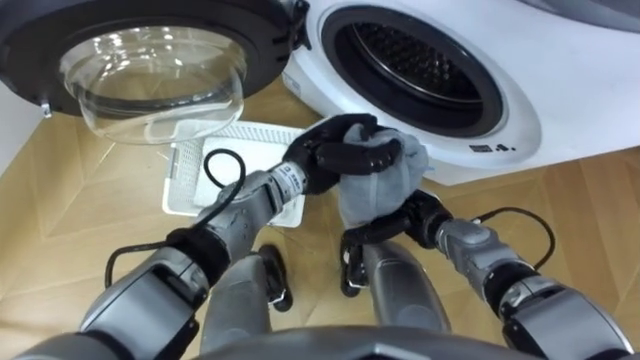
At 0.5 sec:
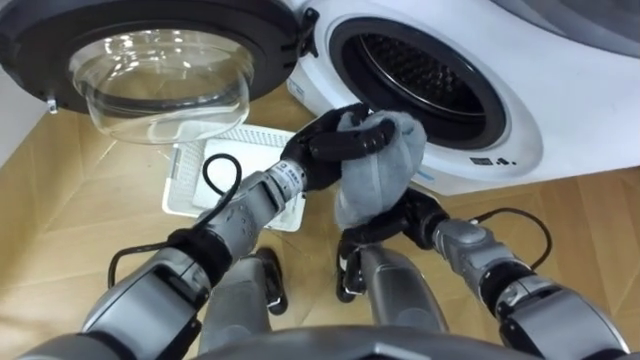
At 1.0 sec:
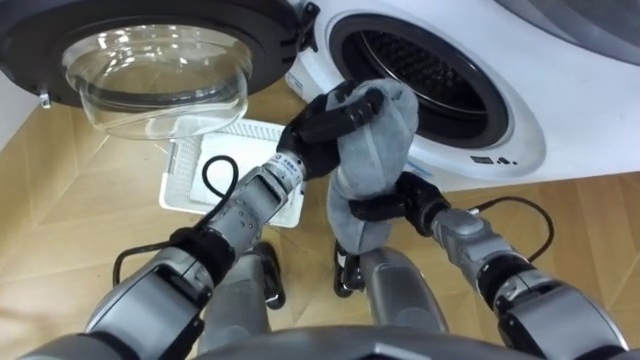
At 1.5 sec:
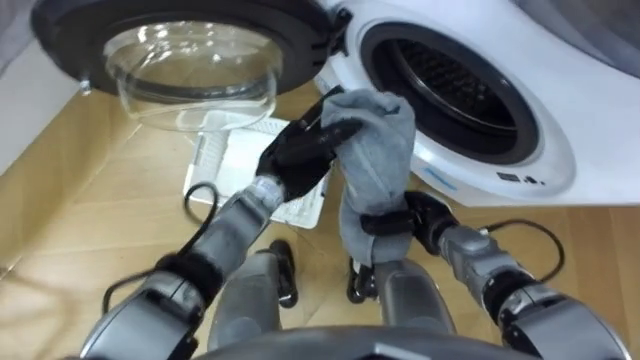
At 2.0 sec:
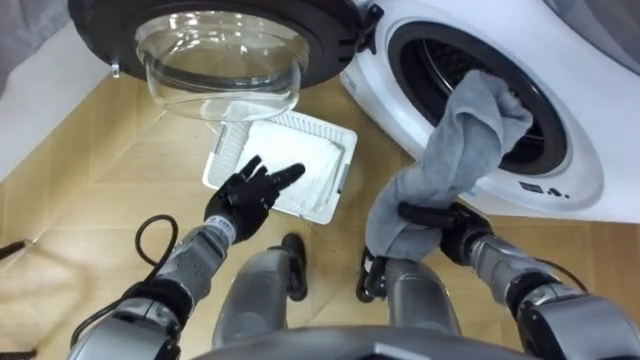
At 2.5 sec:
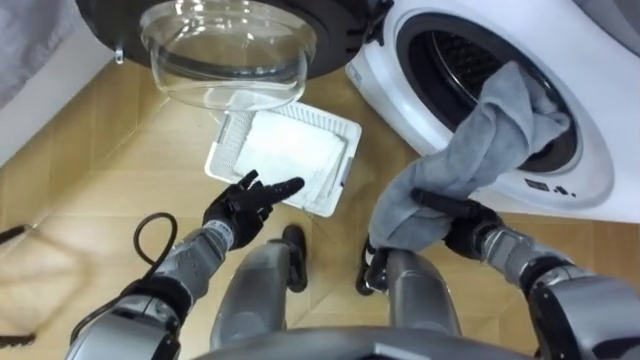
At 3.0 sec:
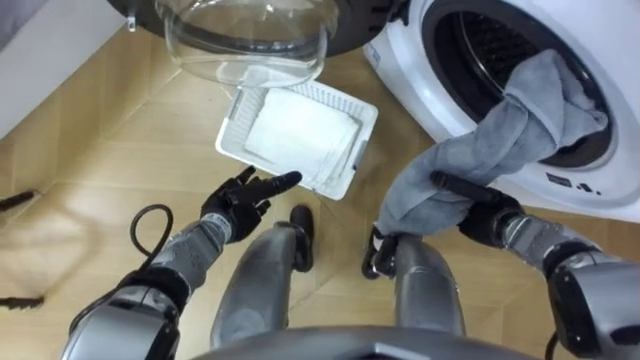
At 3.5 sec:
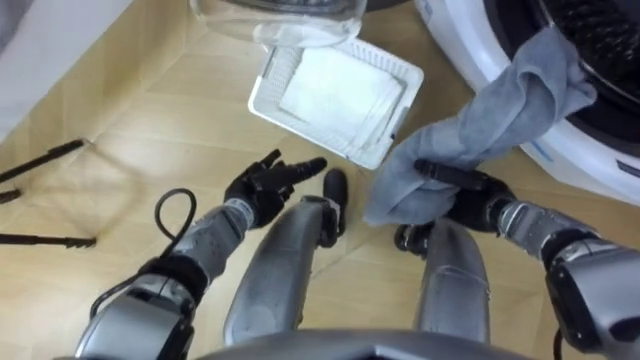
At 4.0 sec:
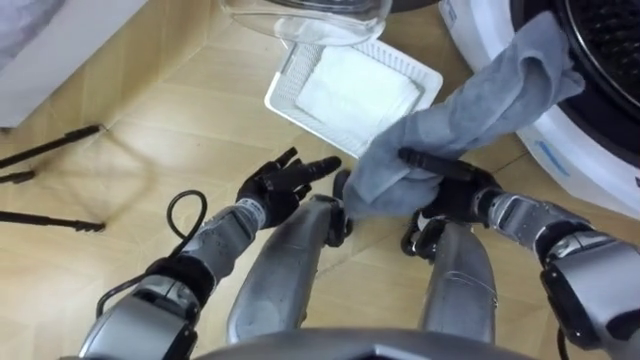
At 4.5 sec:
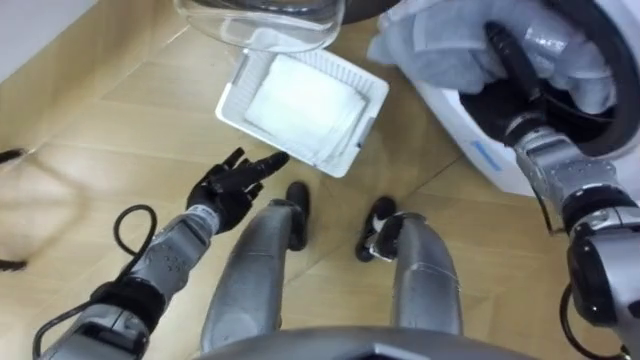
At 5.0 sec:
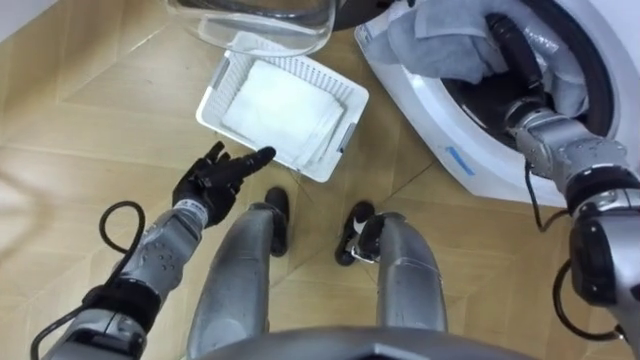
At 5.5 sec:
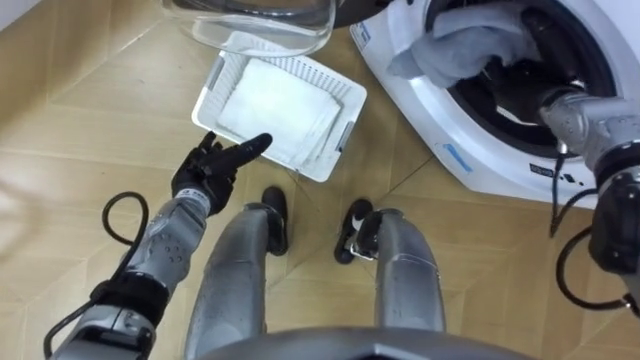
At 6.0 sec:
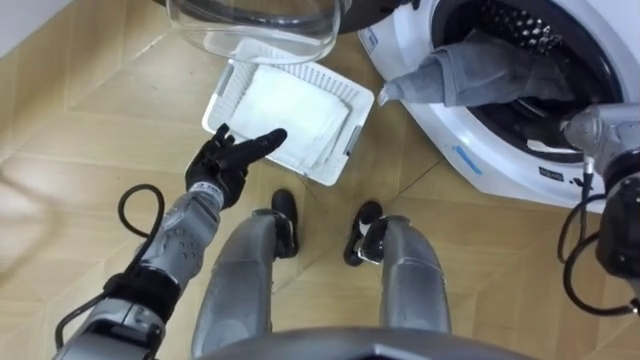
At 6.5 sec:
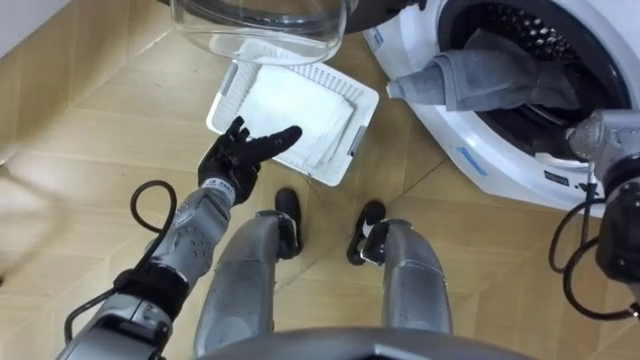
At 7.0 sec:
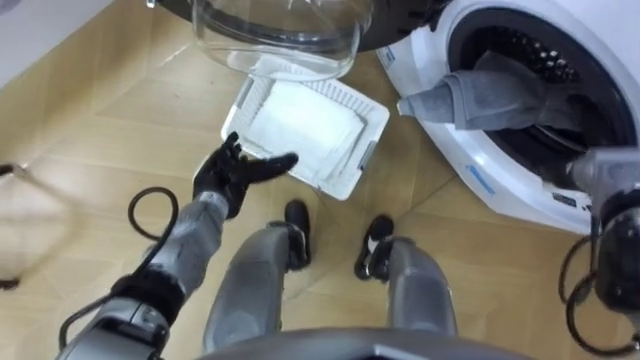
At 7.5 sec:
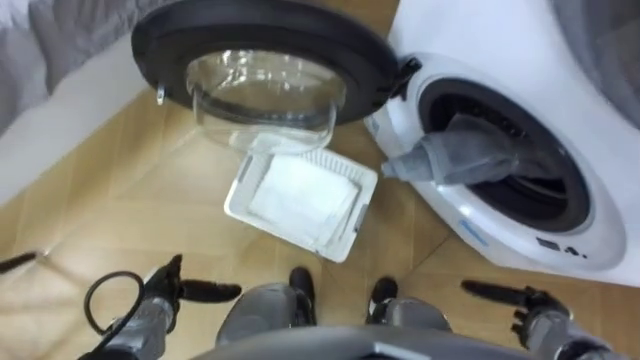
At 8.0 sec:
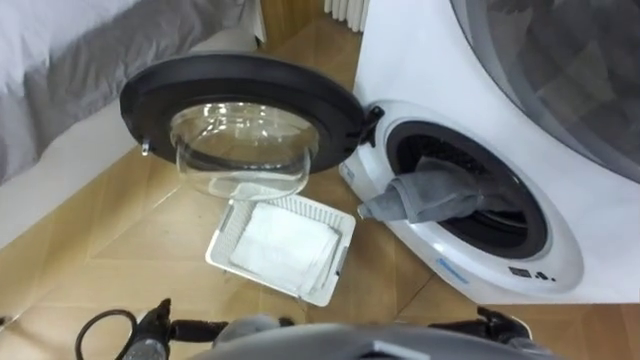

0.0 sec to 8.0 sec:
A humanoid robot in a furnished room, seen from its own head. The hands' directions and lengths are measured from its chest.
Task of the whole recording: Take the towel from the basket and put it into the washing machine.
0.0 sec to 2.0 sec: The right hand shifts roughly 5 cm to the right, and closes up. Meanwhile the left hand goes some 15 cm to the left and downward, and opens up.
2.0 sec to 4.0 sec: The left hand changes place by roughly 5 cm. Meanwhile the right hand goes about 5 cm forward.
4.0 sec to 6.0 sec: The right hand heads to the right, upward and forward, covering about 15 cm, and opens up; the left hand shifts about 10 cm to the left.
6.0 sec to 8.0 sec: The left hand travels backward, downward and to the left by some 30 cm, while the right hand travels backward and downward by approximately 35 cm.

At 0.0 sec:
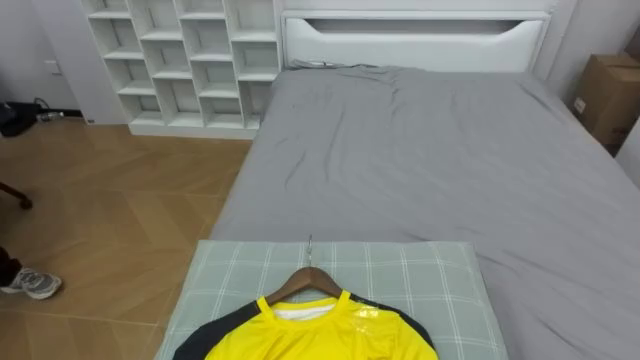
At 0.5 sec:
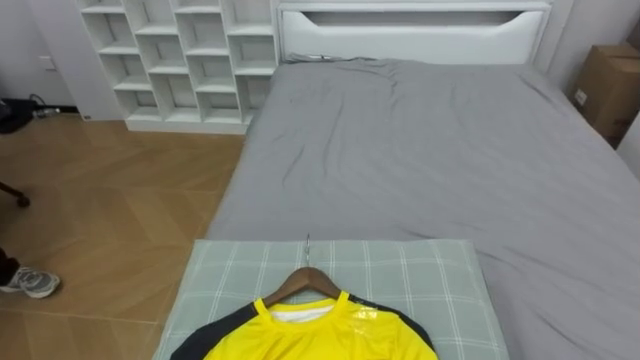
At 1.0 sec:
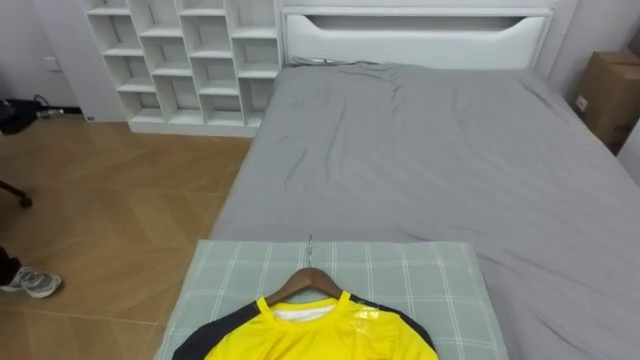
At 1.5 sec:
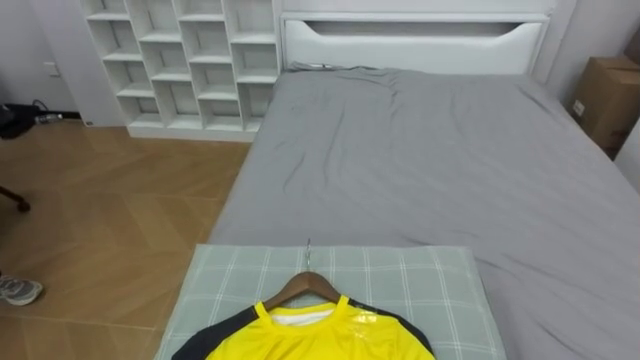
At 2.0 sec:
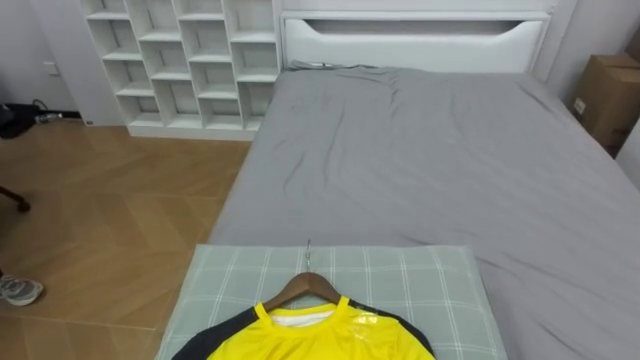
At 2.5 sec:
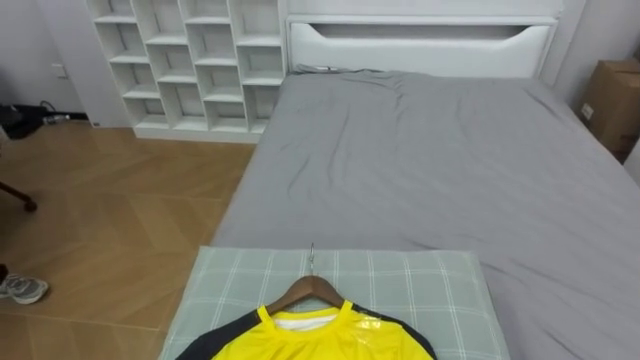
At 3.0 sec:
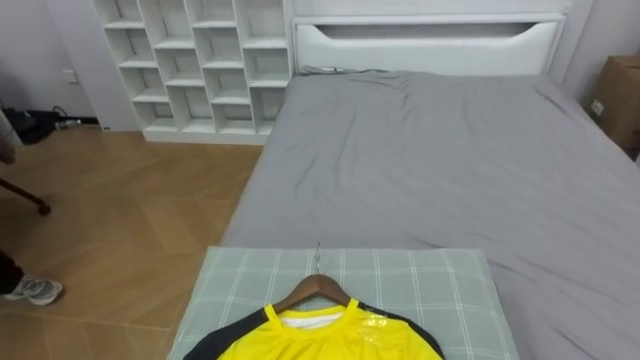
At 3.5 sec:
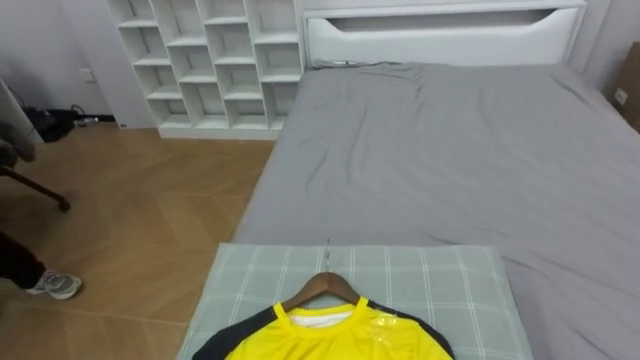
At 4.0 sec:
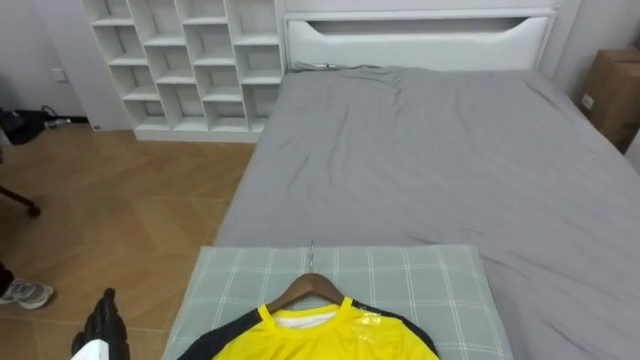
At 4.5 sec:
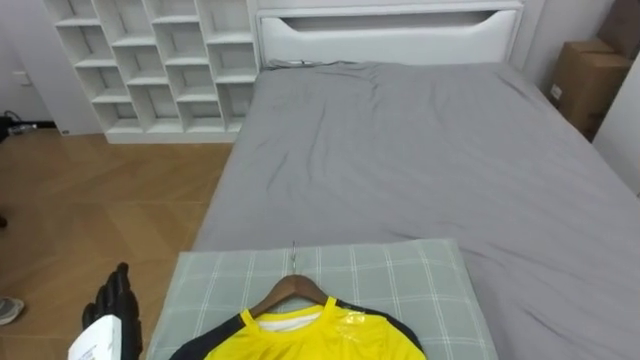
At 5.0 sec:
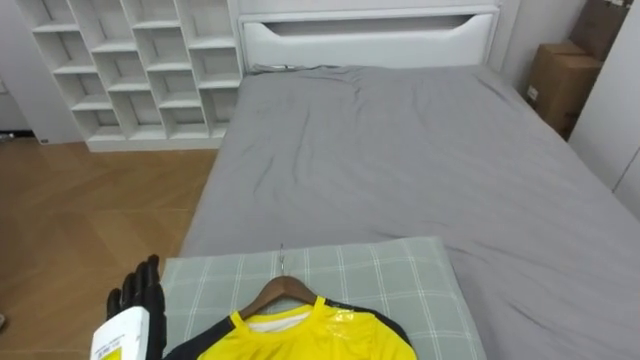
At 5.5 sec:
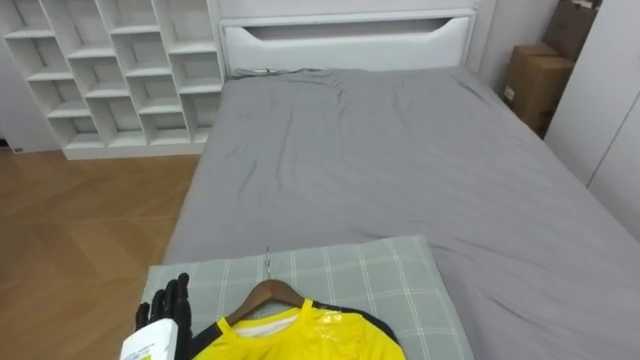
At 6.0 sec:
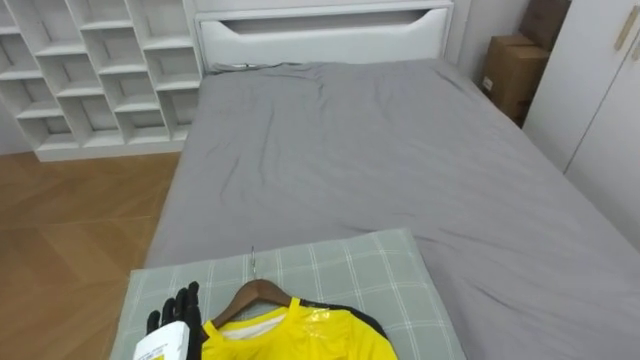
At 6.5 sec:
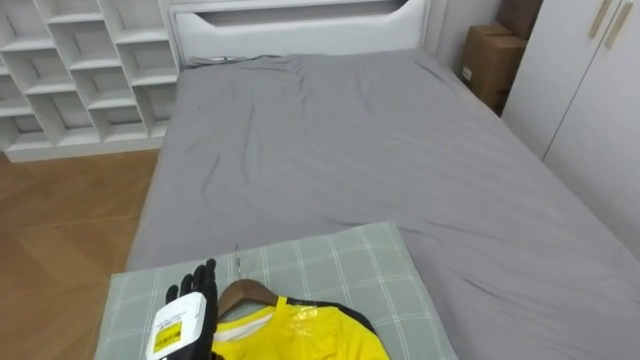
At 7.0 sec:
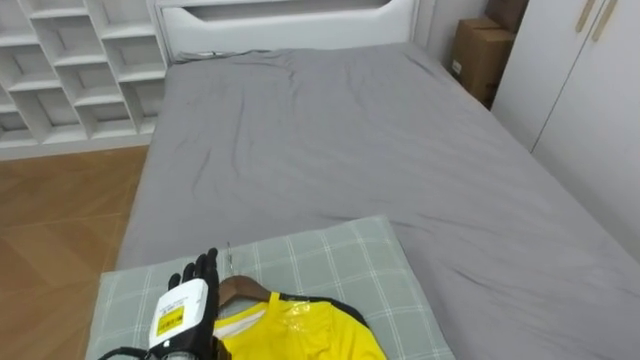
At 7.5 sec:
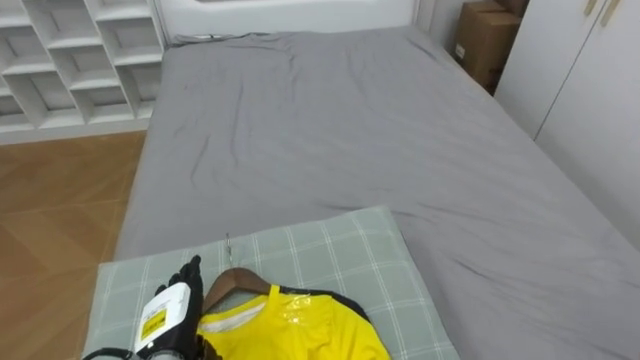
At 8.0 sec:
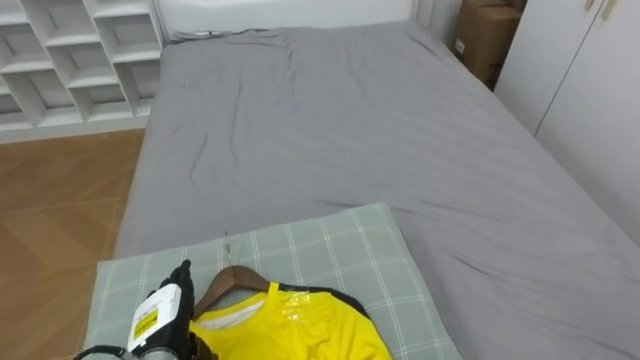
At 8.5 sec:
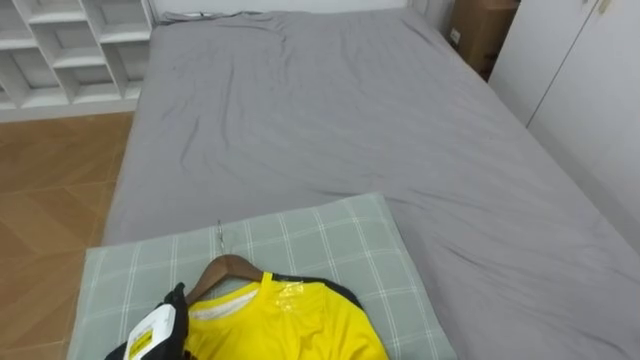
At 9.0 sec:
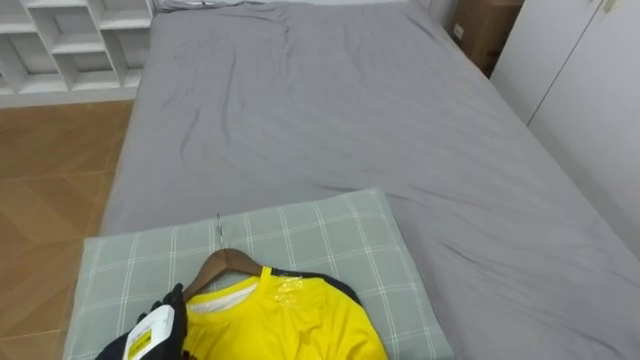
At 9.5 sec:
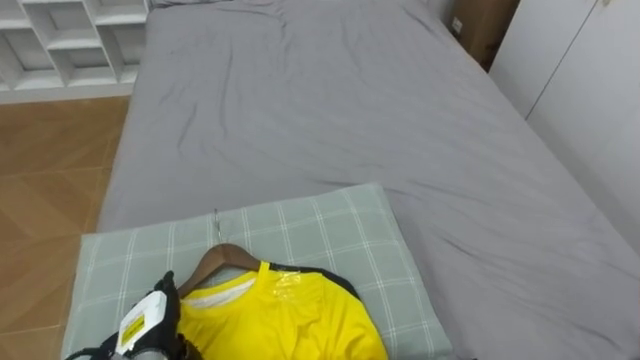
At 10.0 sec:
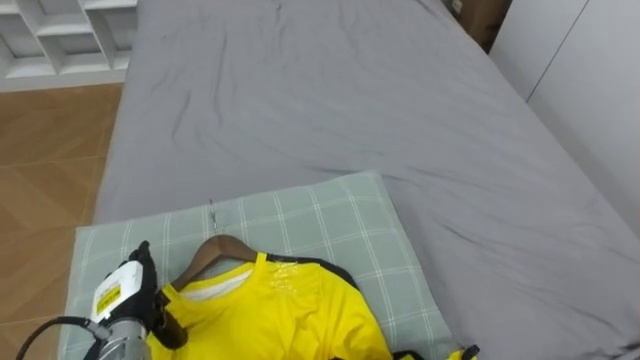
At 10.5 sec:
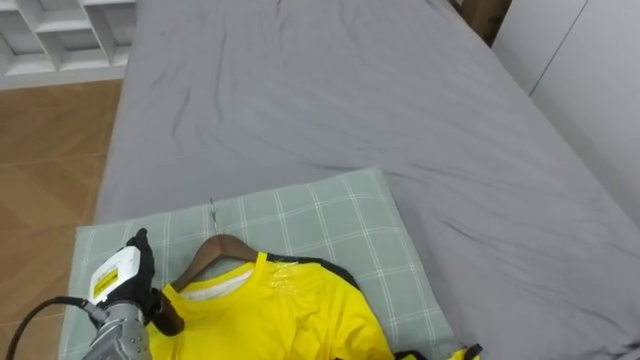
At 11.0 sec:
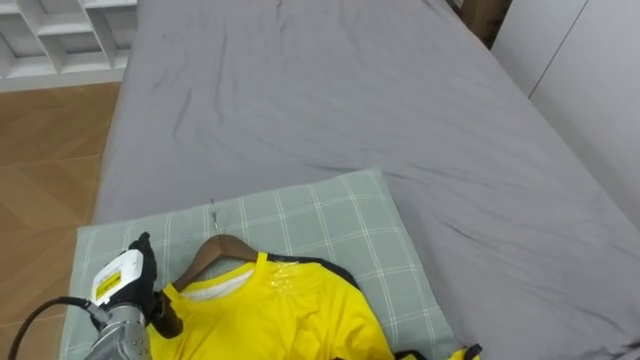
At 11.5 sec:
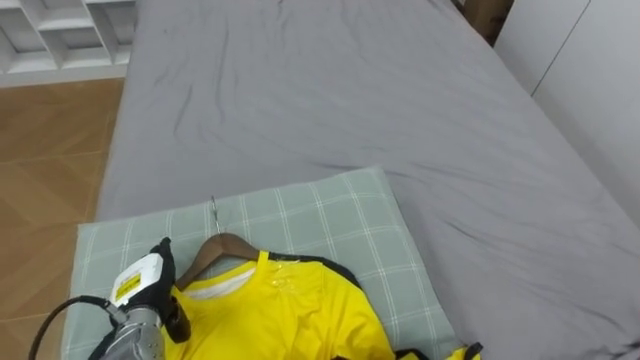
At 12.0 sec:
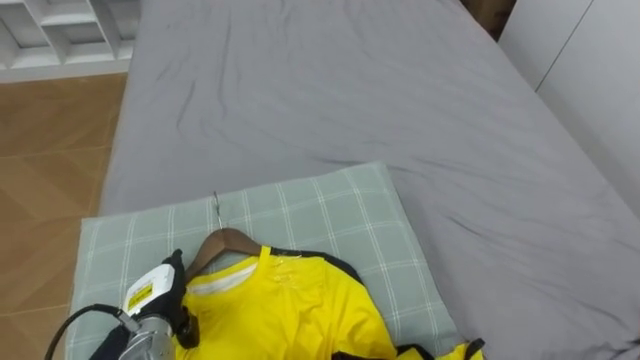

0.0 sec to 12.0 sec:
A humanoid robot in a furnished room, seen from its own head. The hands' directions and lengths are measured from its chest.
Task of the whole recording: Pick up the yellow shirt on the bed and hang it on the clothes rack on the right.
8.0 sec to 10.0 sec: The left hand changes place by some 5 cm.
